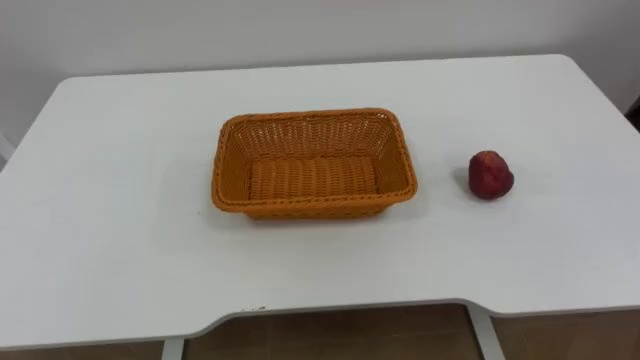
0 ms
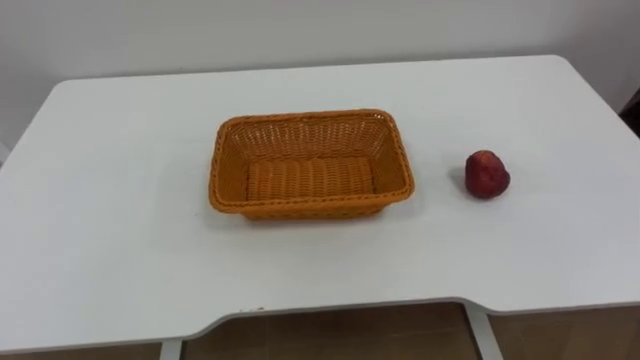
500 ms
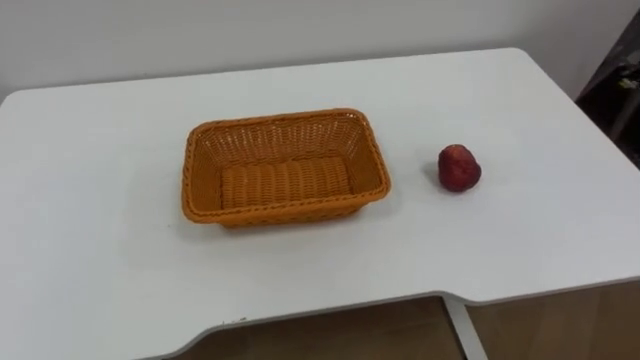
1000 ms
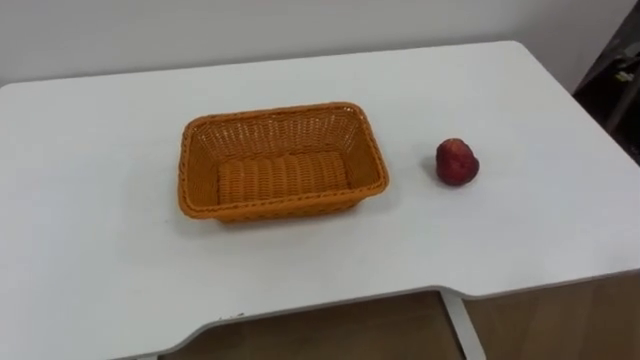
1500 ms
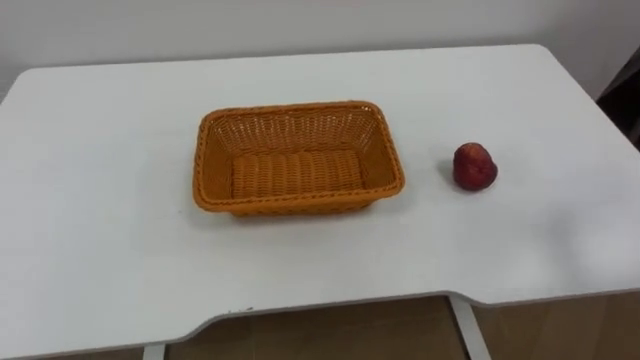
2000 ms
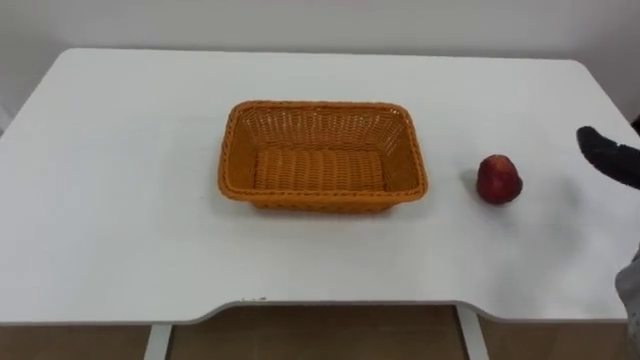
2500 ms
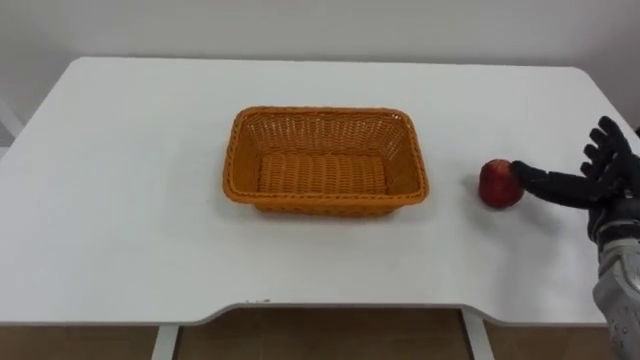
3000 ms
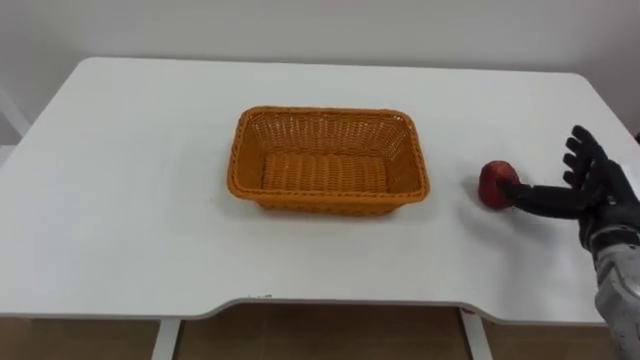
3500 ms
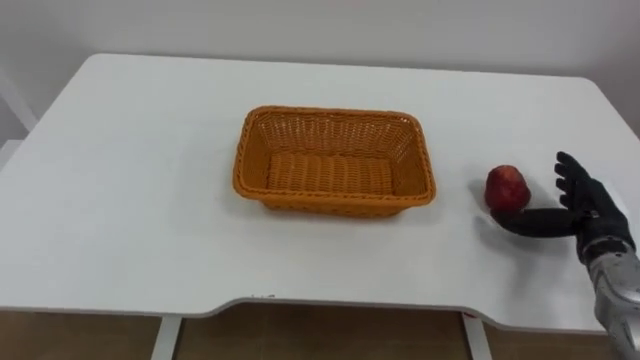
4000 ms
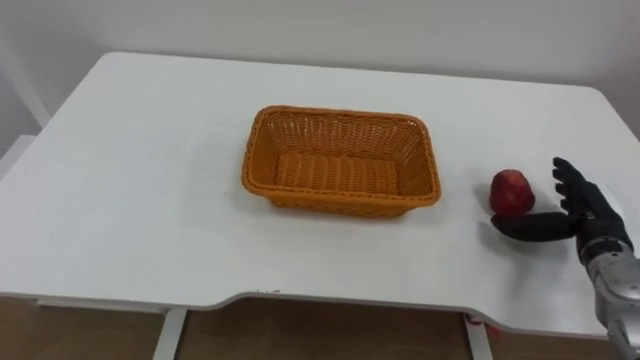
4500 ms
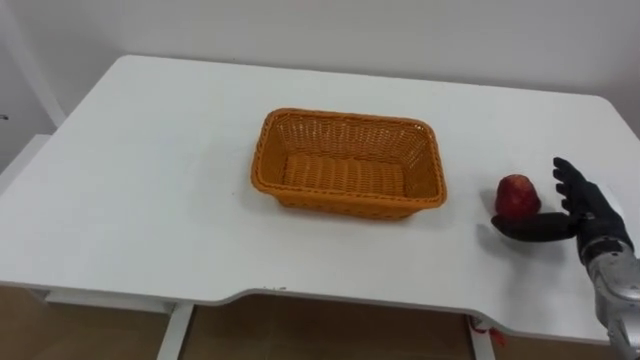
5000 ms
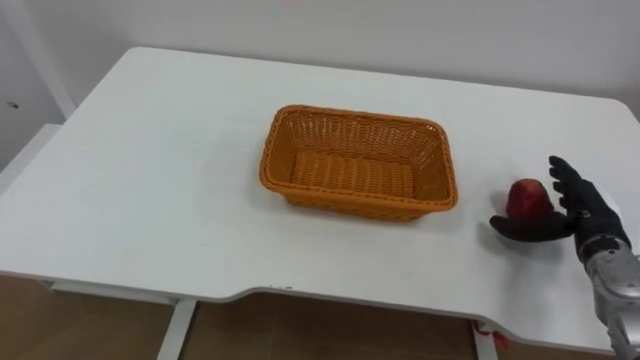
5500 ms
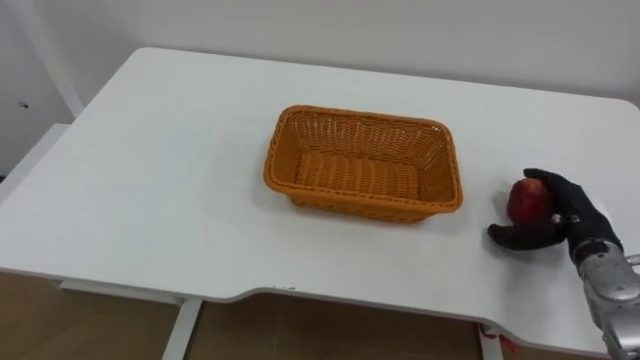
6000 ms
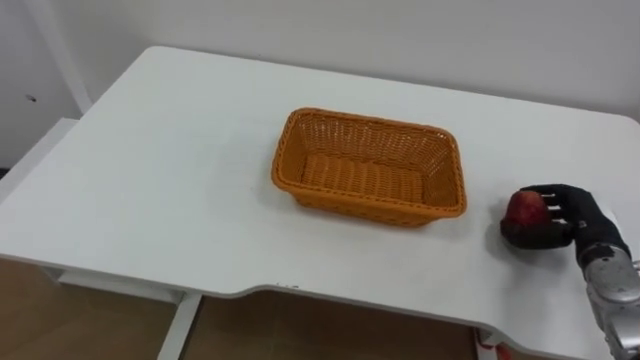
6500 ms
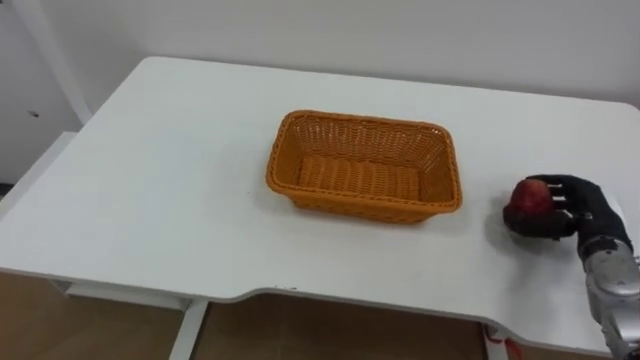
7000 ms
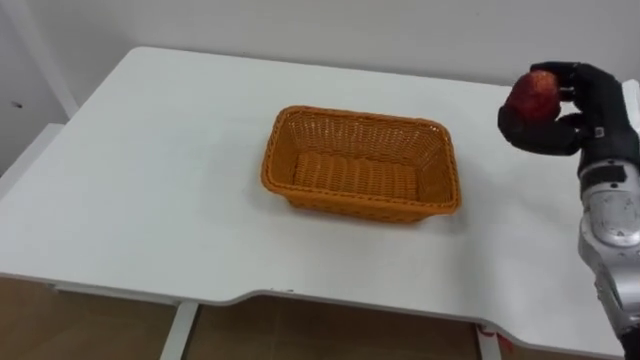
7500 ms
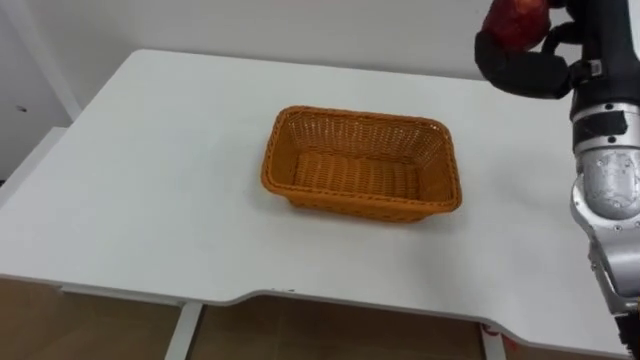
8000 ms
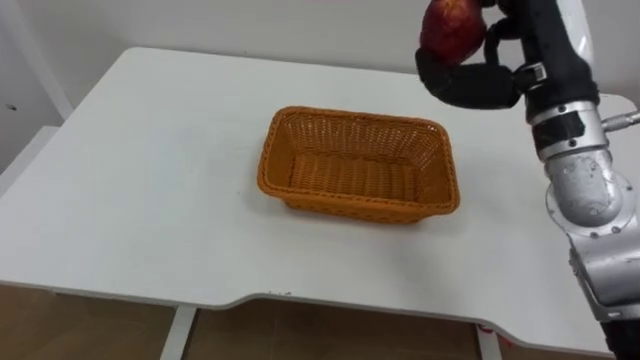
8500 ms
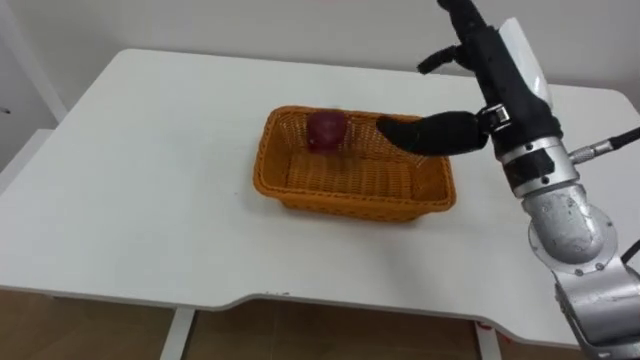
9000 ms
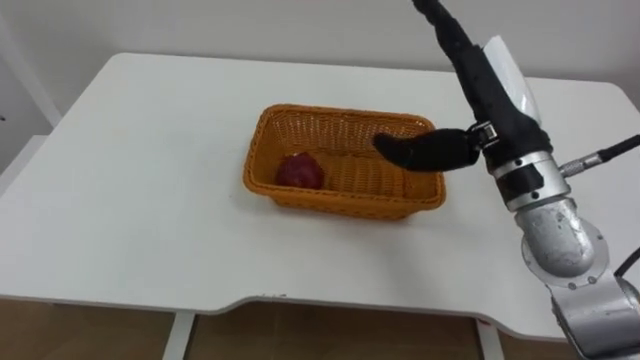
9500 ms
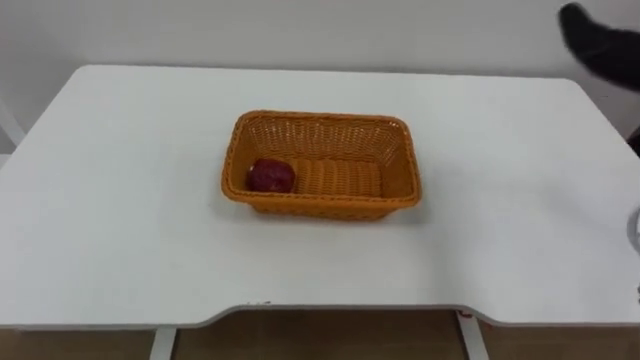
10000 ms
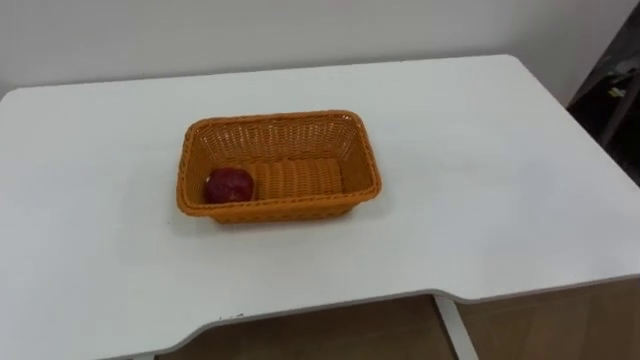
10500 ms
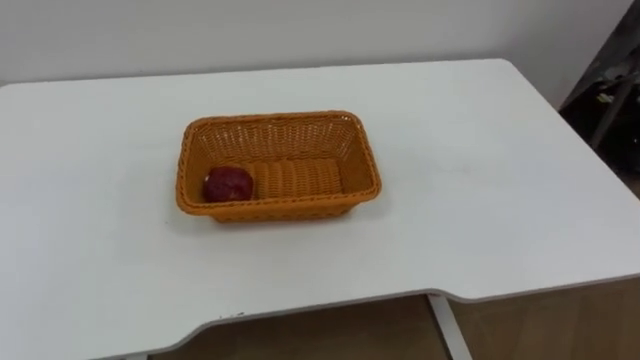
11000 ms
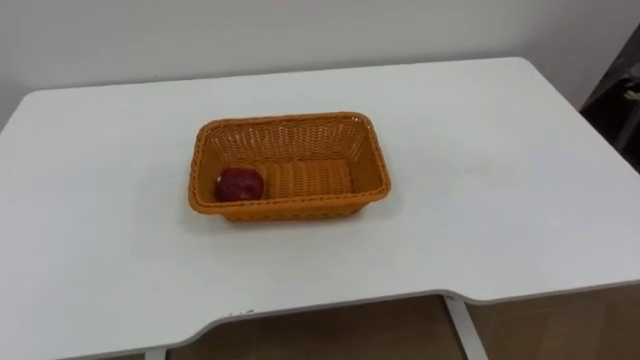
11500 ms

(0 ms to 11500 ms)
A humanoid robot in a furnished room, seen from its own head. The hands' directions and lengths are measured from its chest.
Task of the whole recording: Pick the apple and place it in the box.
6000 ms - 7500 ms: The right hand goes about 15 cm upward.
7500 ms - 9500 ms: The right hand is displaced to the left and upward by roughly 15 cm, and opens.

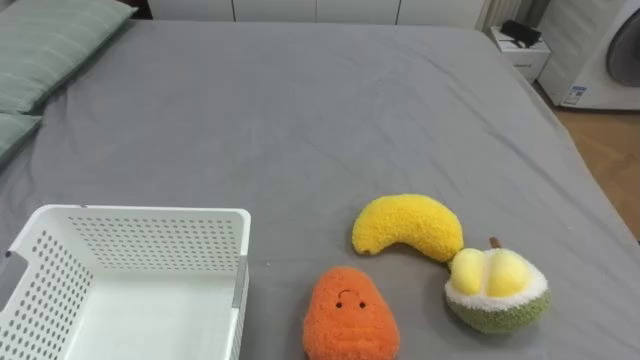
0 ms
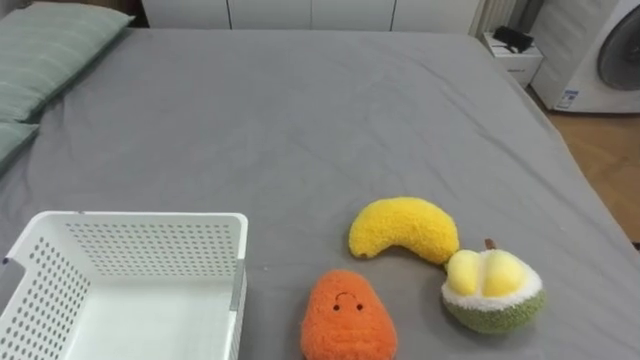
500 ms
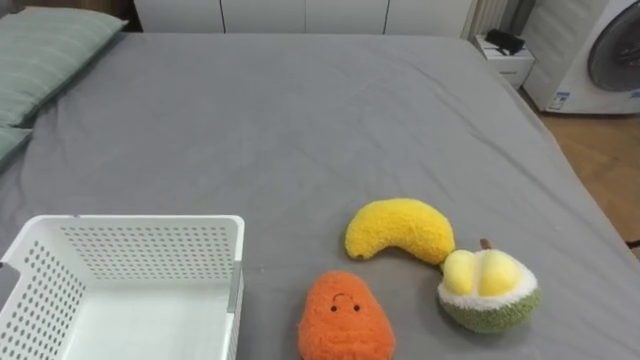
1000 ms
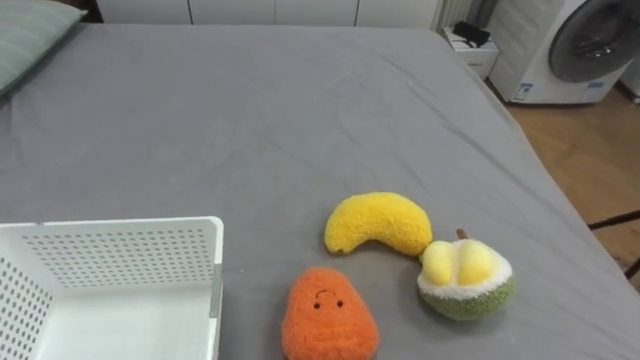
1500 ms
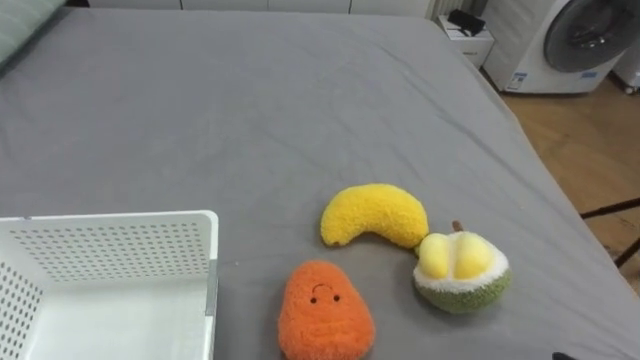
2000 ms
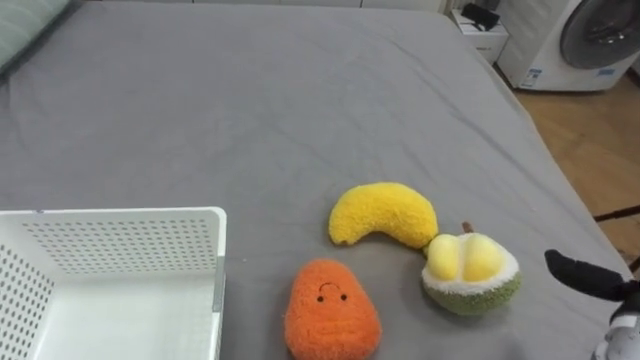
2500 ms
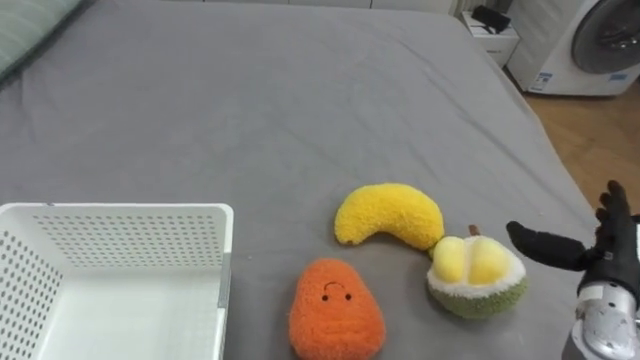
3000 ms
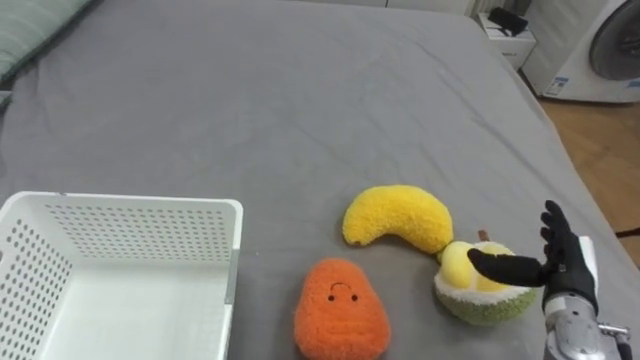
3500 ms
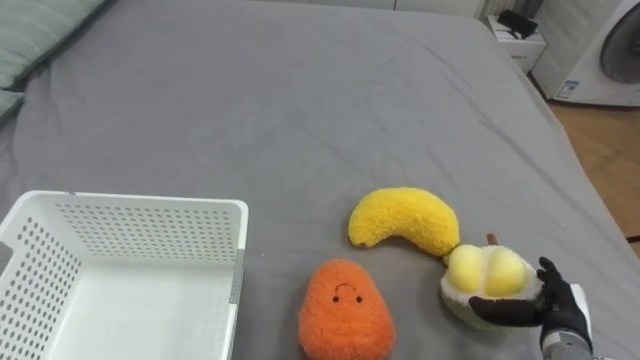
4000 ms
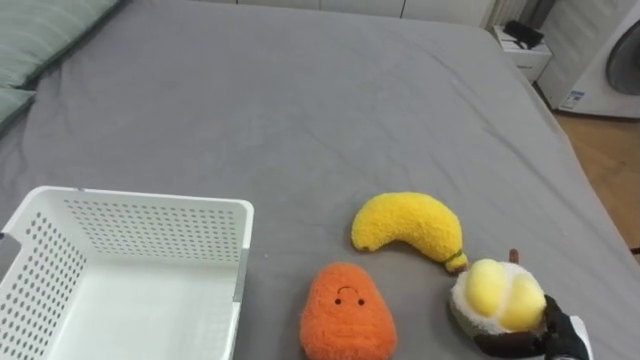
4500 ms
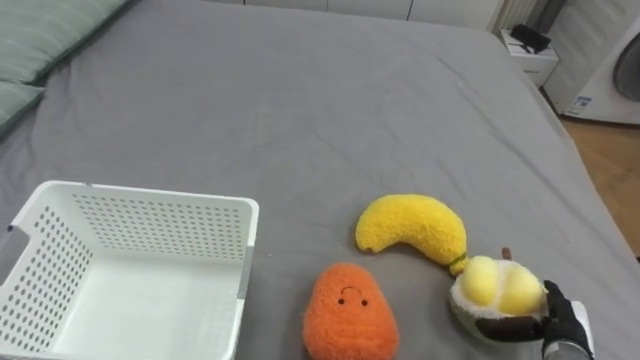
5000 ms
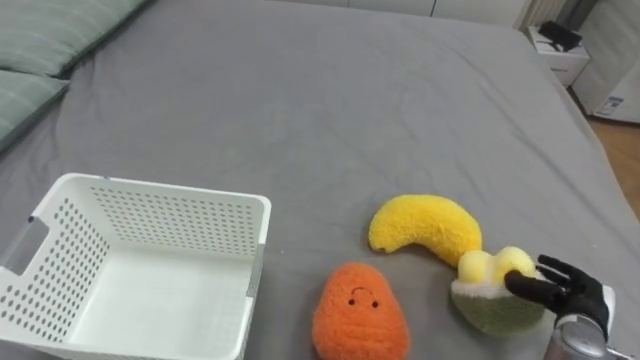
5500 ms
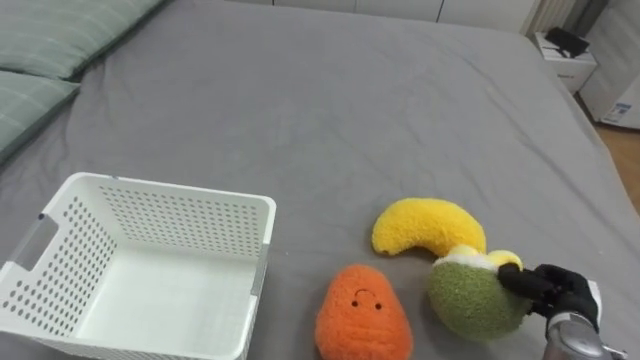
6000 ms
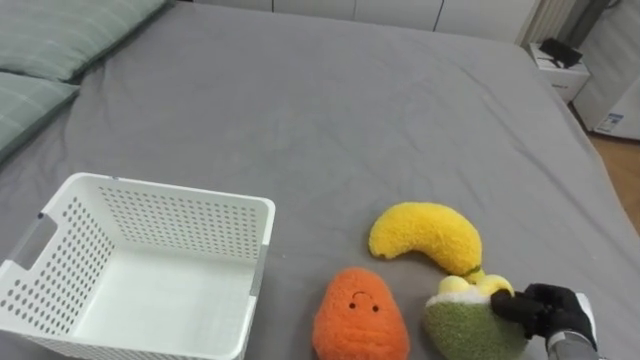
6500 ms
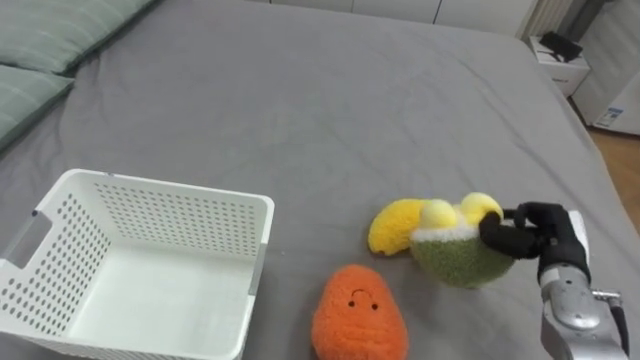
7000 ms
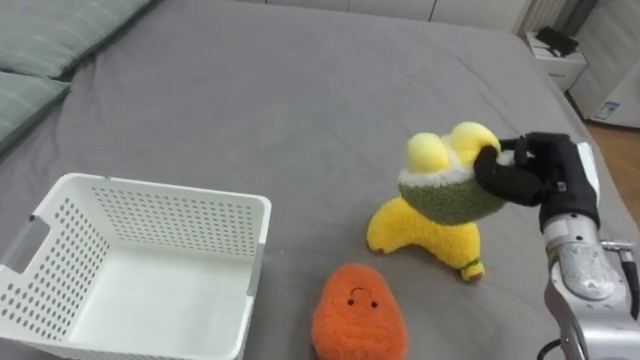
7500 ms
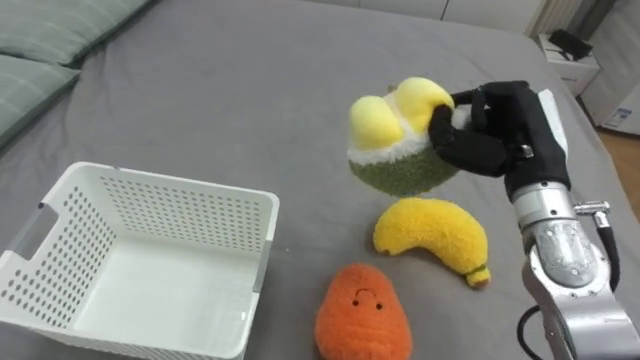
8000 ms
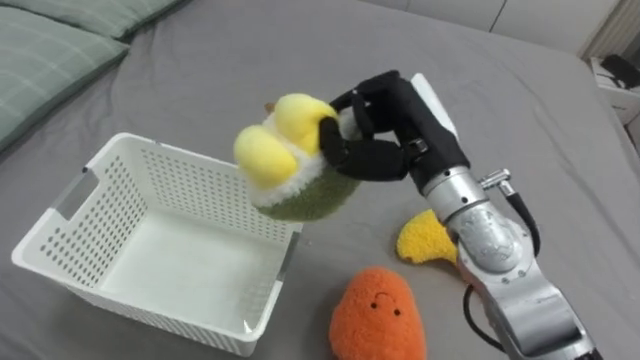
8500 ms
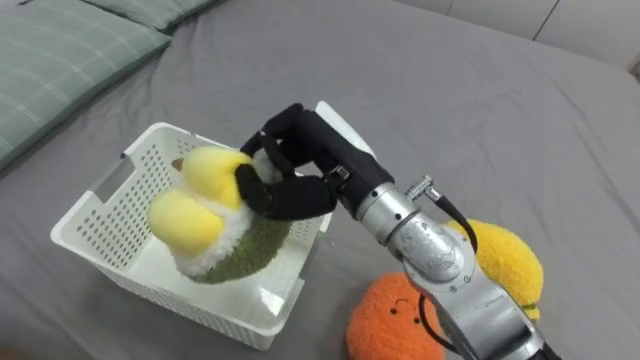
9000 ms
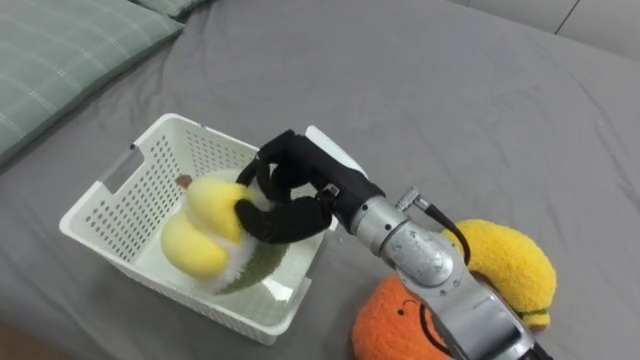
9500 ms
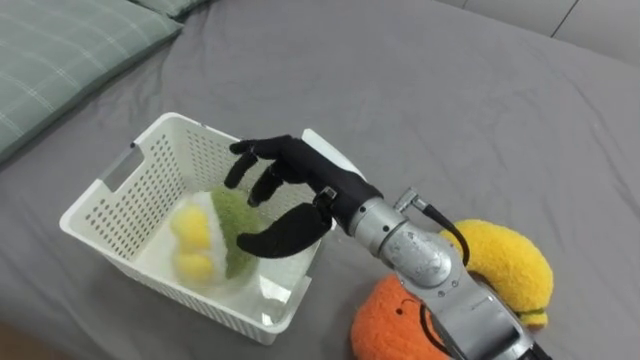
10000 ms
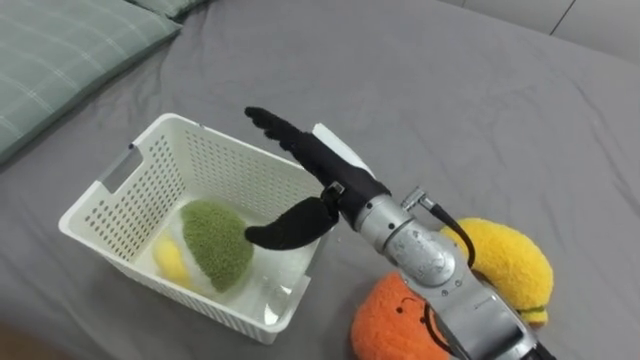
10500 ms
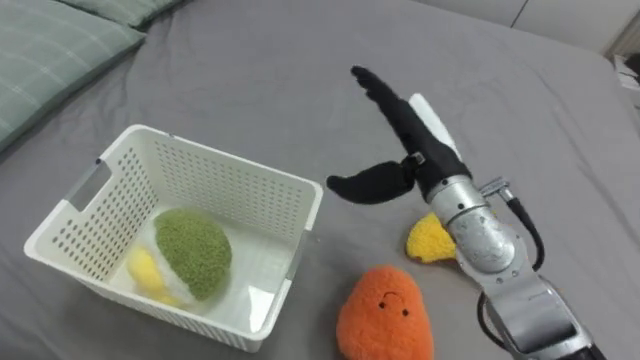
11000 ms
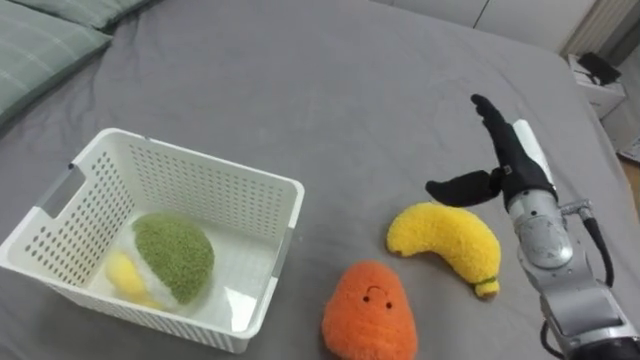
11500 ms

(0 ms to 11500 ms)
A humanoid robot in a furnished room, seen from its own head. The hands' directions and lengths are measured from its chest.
Task of the whole recording: Put the toys on the bed into the basket on the left.
4000 ms - 6000 ms: The right hand closes up.
6000 ms - 7500 ms: The right hand heads upward and forward, covering some 20 cm.
7500 ms - 9500 ms: The right hand shifts some 30 cm to the left.
9500 ms - 11500 ms: The right hand heads to the right, covering some 25 cm, and opens its fingers.
